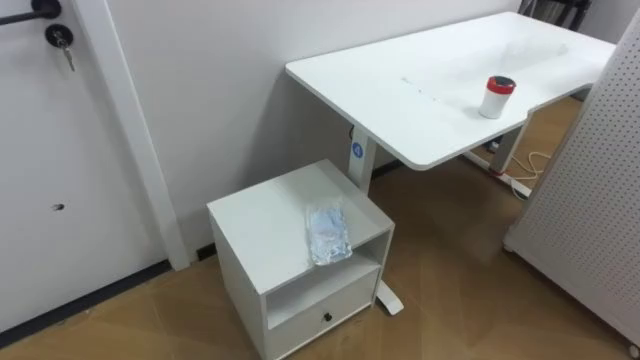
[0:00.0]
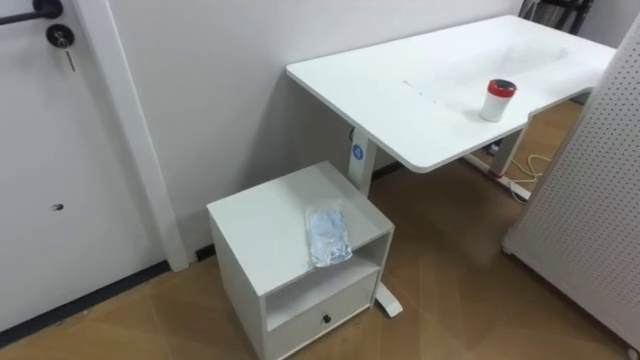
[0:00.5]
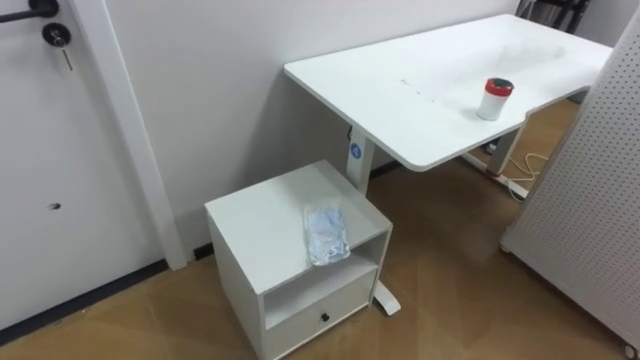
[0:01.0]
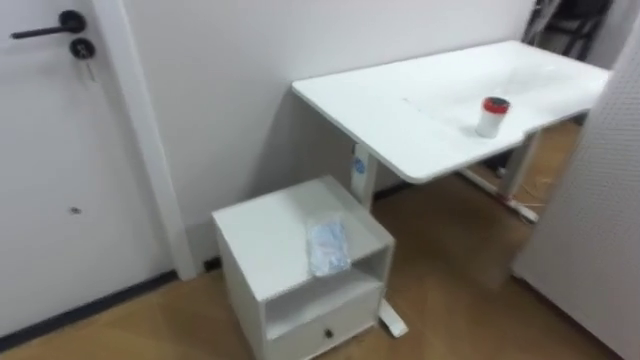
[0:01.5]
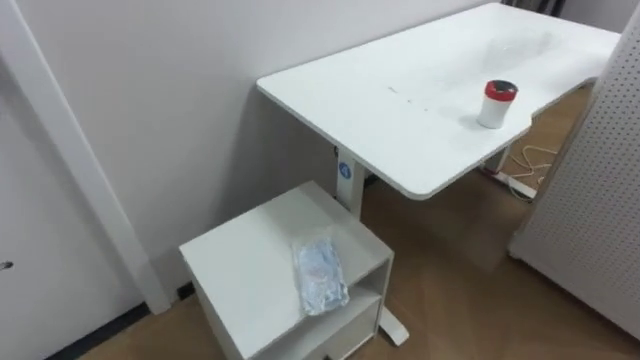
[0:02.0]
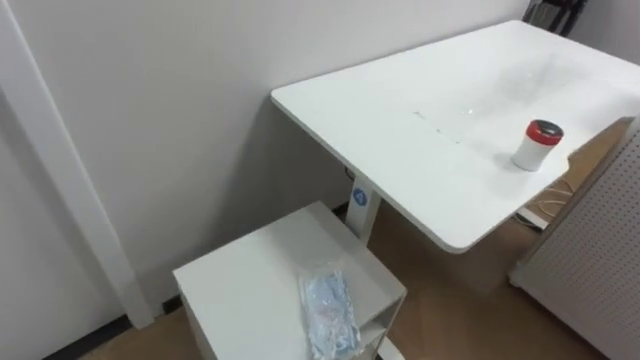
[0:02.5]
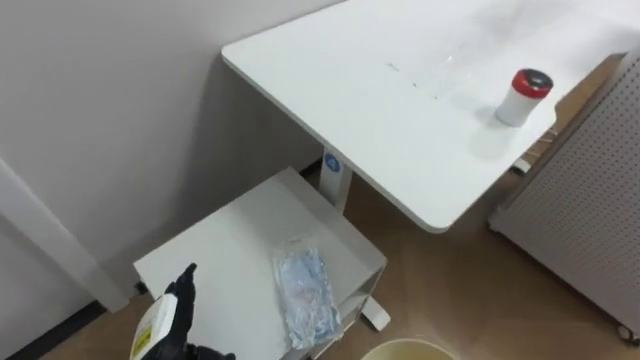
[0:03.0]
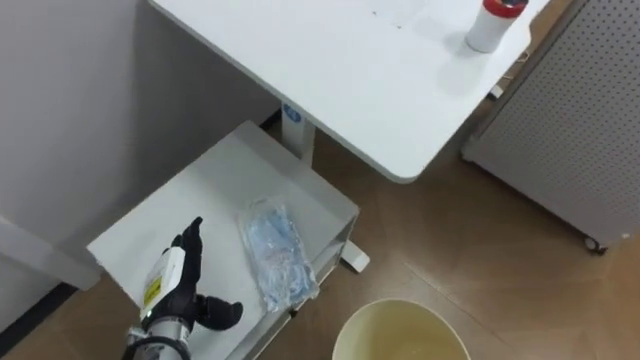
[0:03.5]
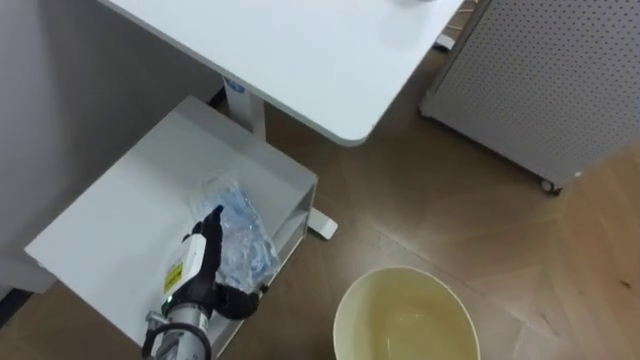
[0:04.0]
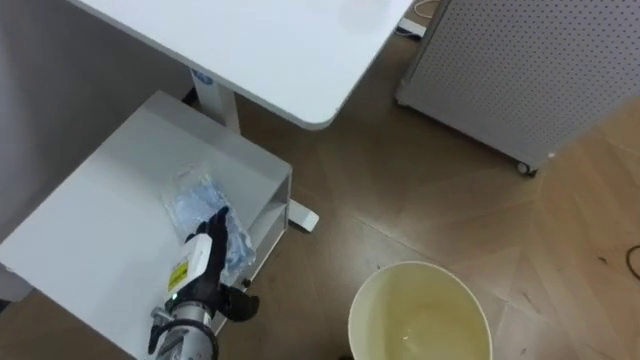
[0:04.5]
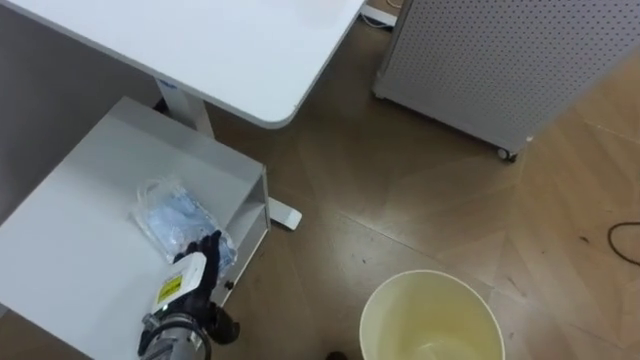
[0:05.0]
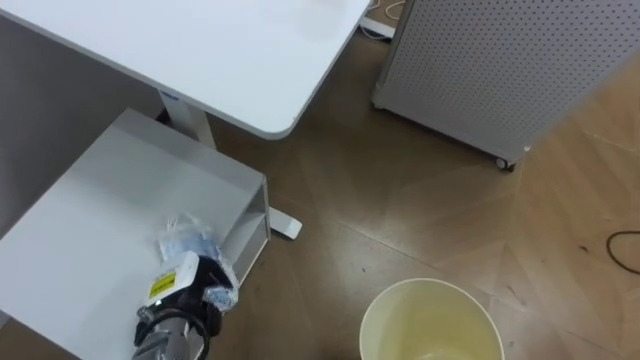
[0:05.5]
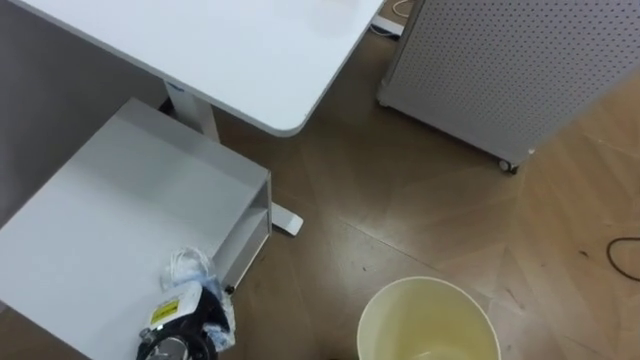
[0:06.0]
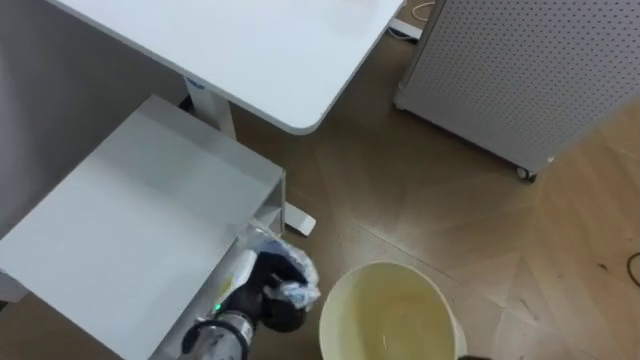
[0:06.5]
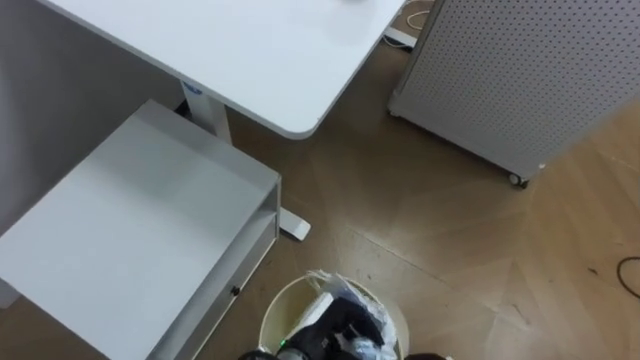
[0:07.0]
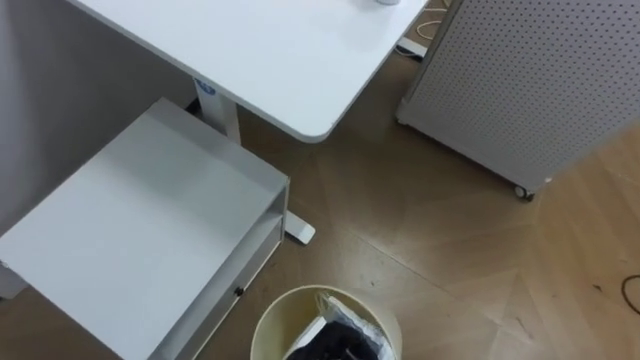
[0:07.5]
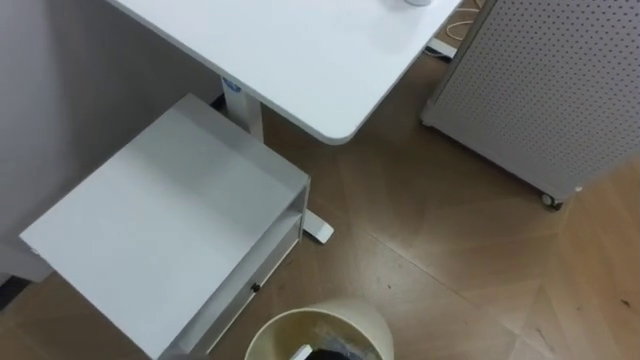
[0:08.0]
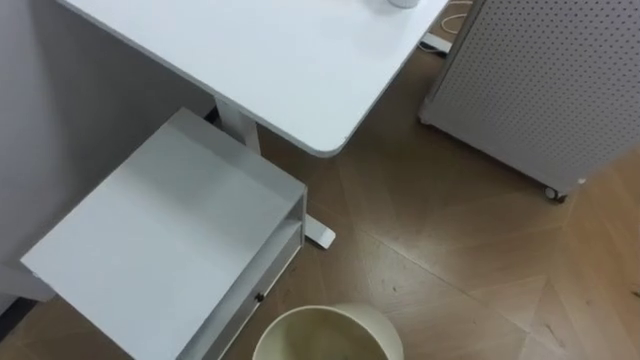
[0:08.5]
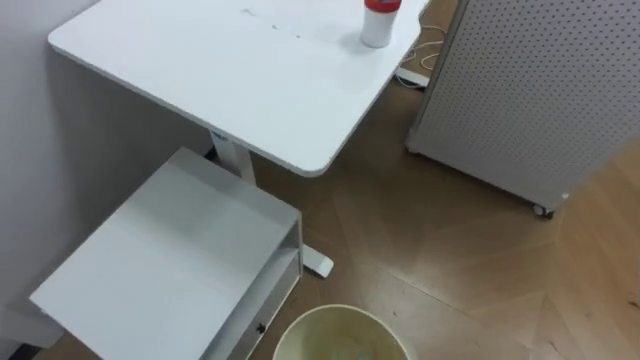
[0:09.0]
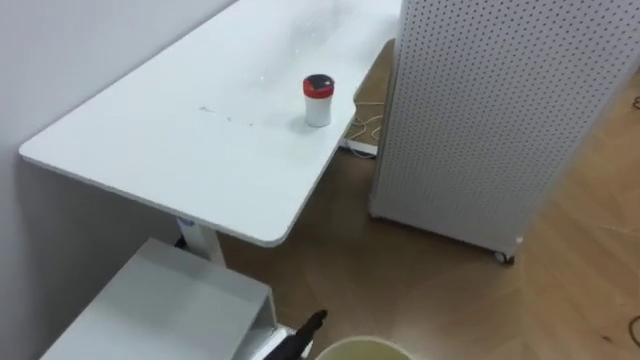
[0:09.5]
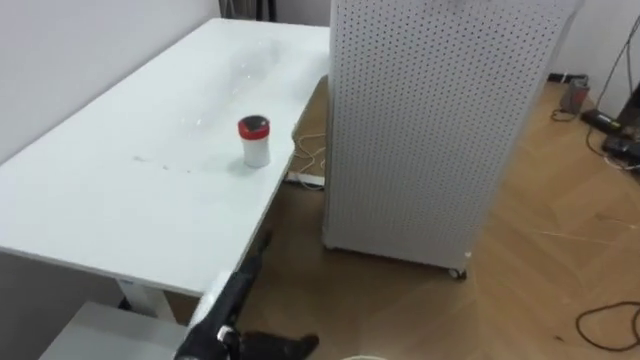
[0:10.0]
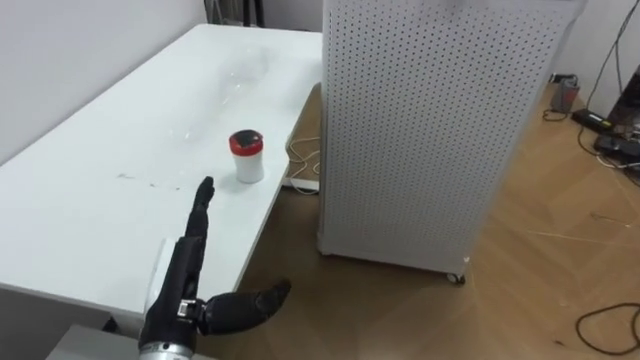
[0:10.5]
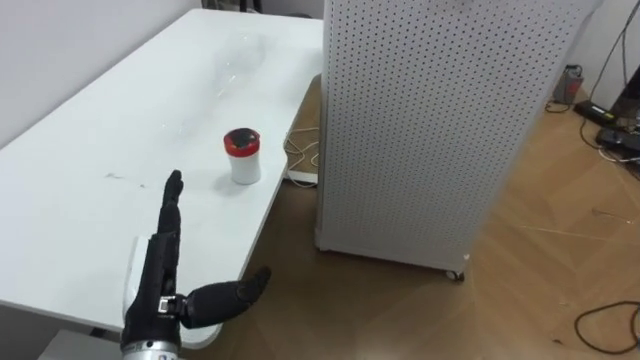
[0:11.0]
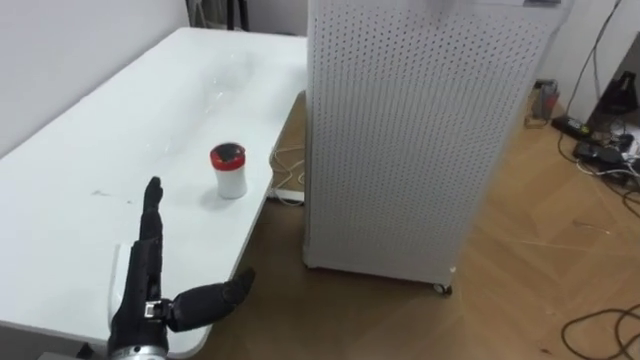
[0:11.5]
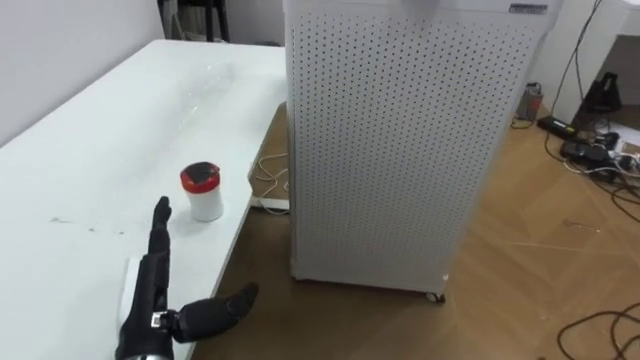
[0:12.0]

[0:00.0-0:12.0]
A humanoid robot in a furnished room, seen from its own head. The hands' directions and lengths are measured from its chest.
Task of the whole recording: Pick up the light blue package, the candy box, and the dark blue package separately, and put them into the trash can held in your right hand.
0:04.0 to 0:06.0: The left hand moves downward, approximately 5 cm, and closes its fingers.
0:08.0 to 0:10.0: The robot faces approximately 25 degrees further to its right.
0:10.0 to 0:12.0: The left hand is displaced to the left by roughly 5 cm.

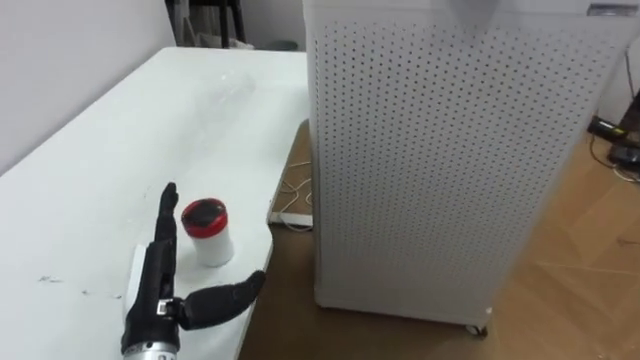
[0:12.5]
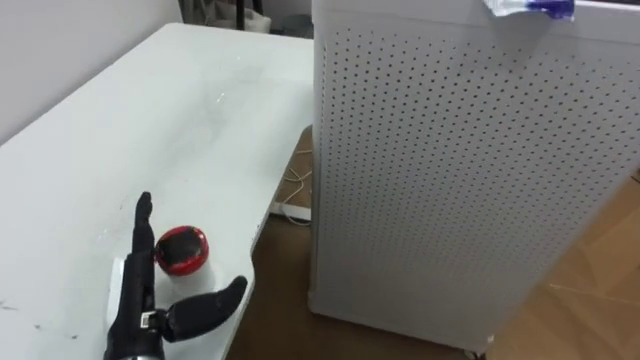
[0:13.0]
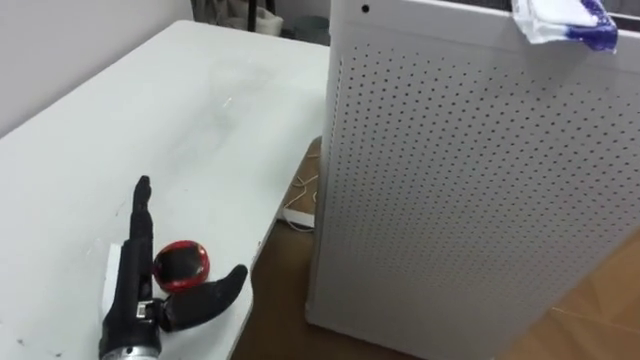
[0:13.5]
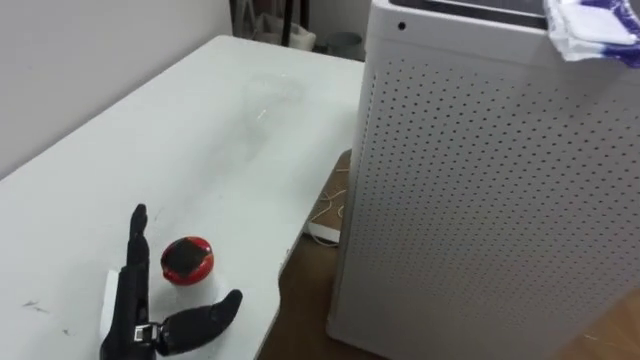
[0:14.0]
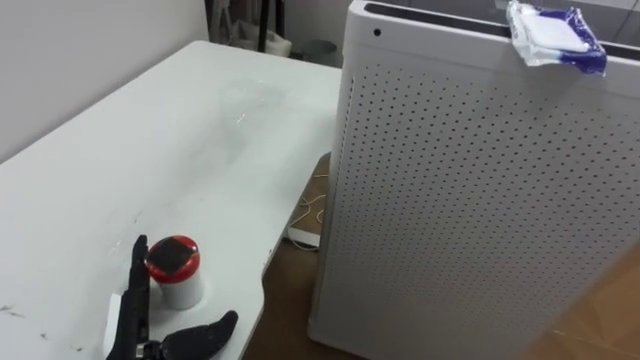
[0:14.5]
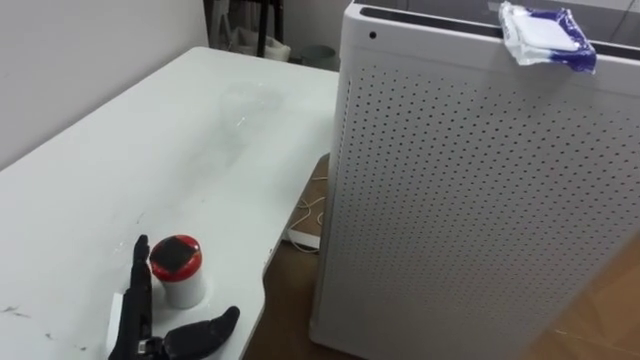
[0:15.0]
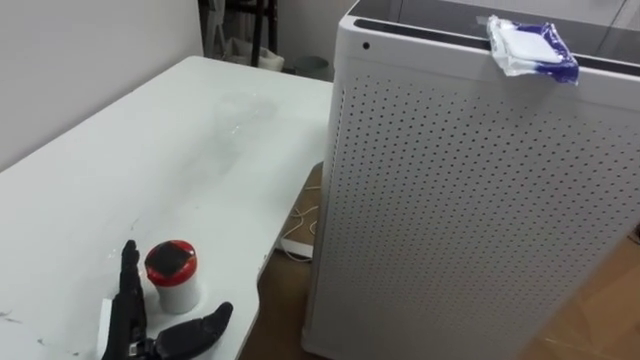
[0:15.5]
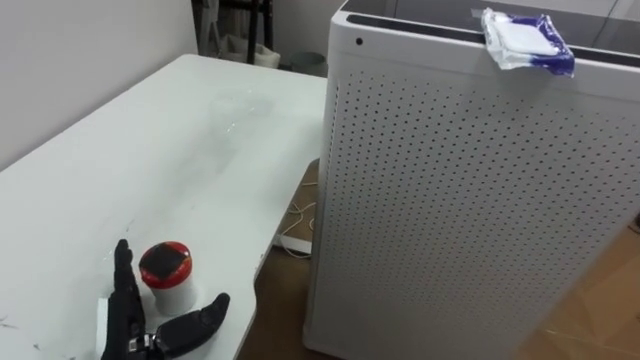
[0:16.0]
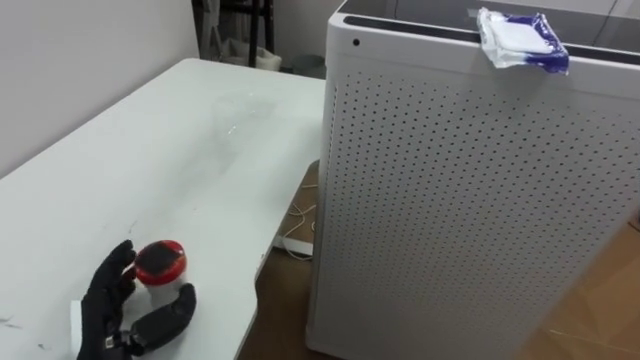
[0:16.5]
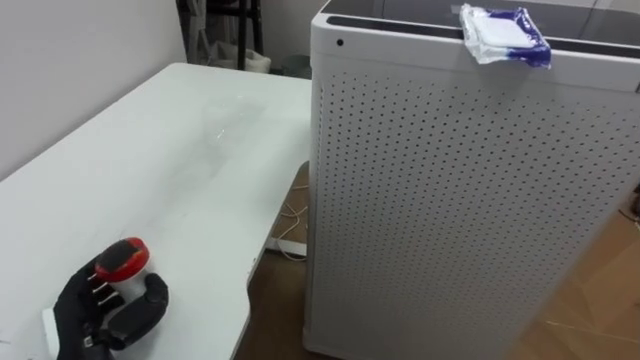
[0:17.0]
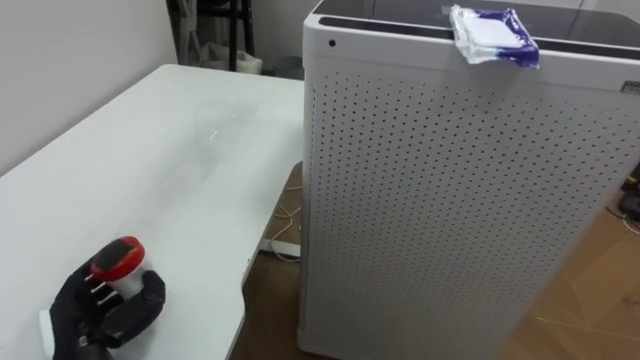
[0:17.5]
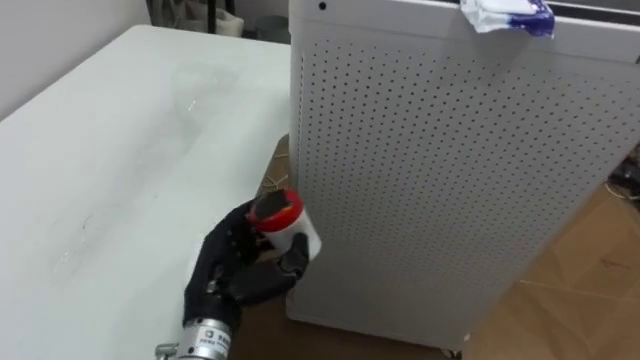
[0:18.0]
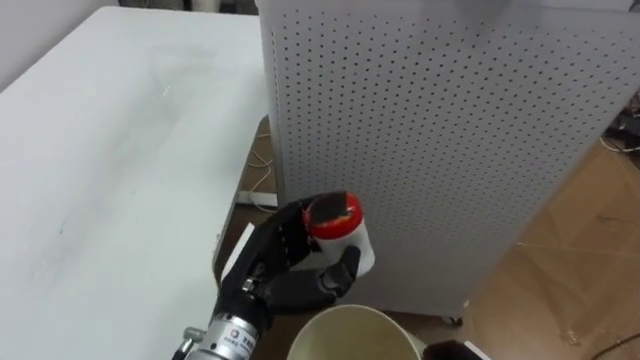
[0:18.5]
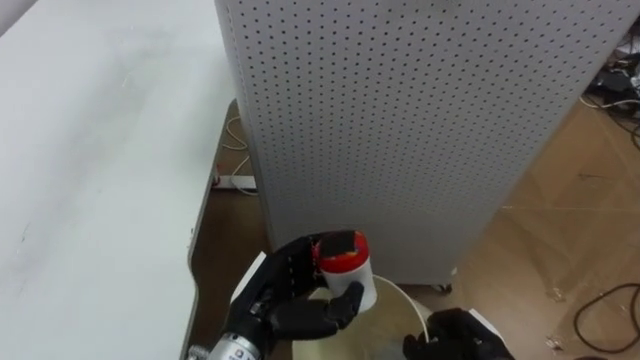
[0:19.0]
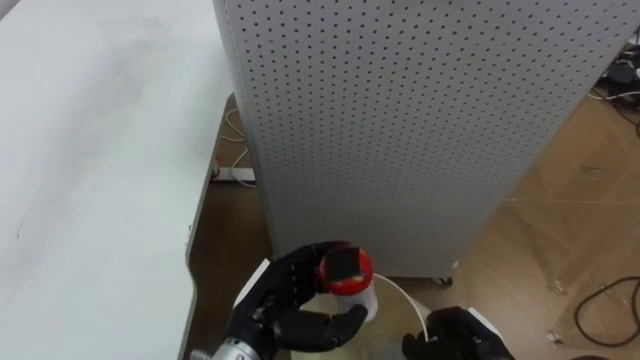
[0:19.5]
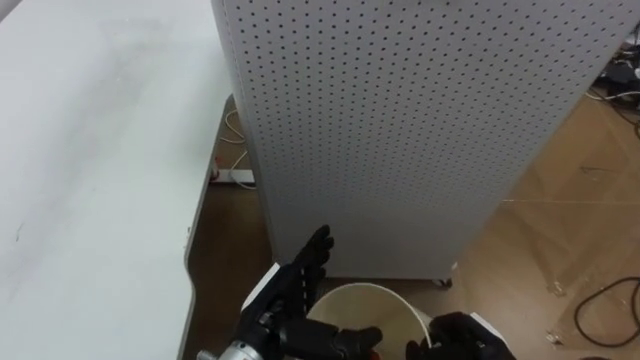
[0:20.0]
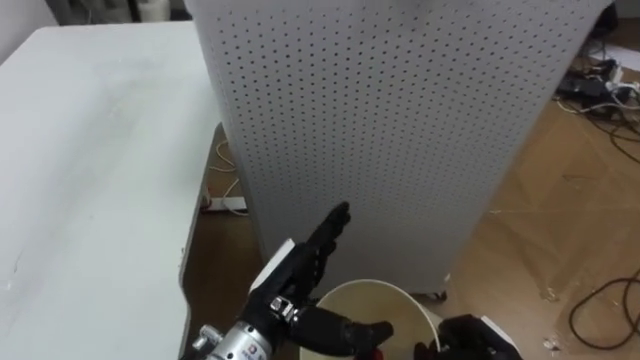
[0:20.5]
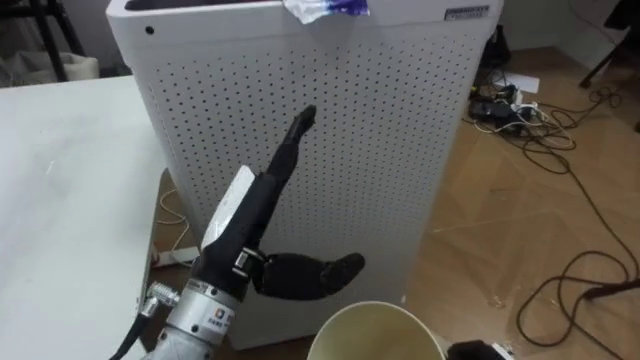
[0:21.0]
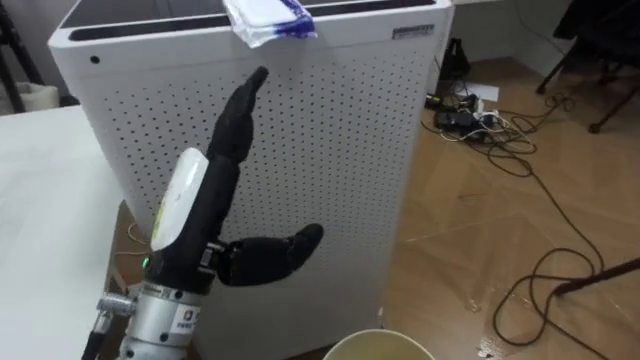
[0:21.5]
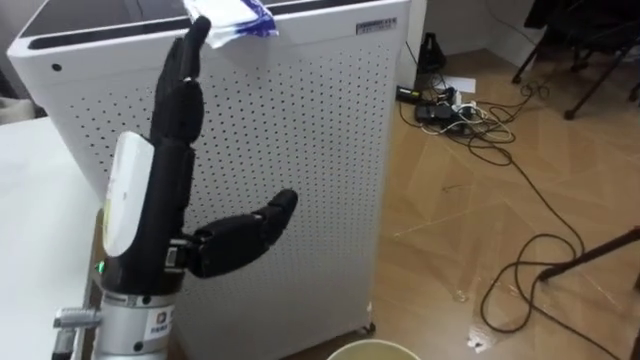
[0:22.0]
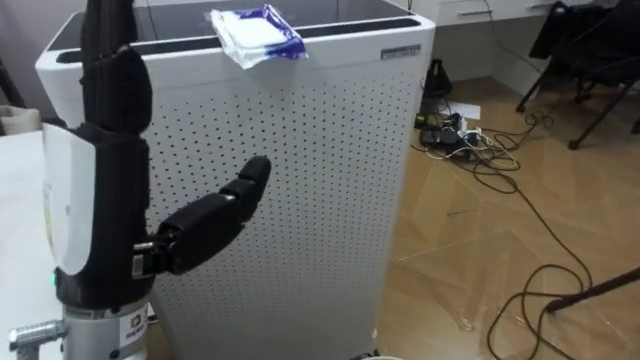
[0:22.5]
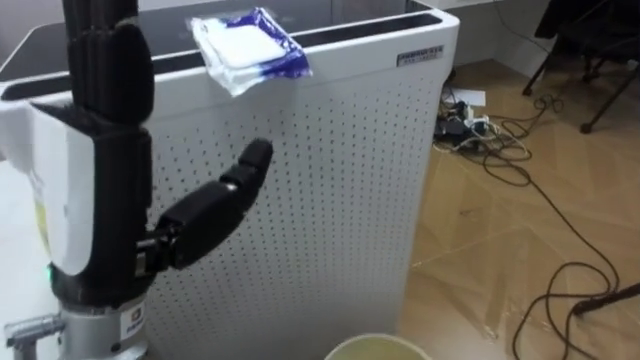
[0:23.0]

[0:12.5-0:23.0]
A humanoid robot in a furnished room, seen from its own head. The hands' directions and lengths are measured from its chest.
Task of the whole recording: Pick up the light blue package, the candy box, and the dark blue package separately, and put them into the trash can held in your right hand.
0:12.5 to 0:14.5: The left hand heads downward, covering some 5 cm.
0:16.5 to 0:19.0: The left hand shifts roughly 20 cm to the right.
0:19.0 to 0:21.0: The left hand moves upward, some 10 cm, and opens.
0:21.0 to 0:23.0: The left hand shifts about 15 cm upward, backward and to the left.
